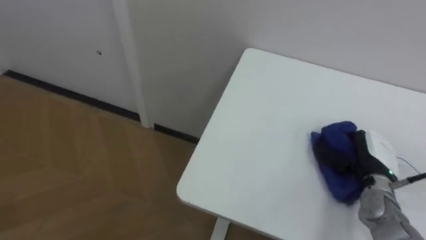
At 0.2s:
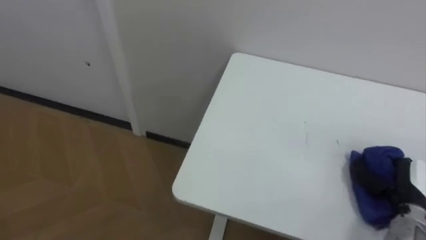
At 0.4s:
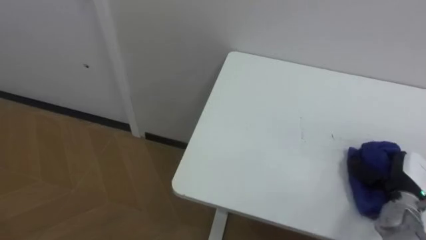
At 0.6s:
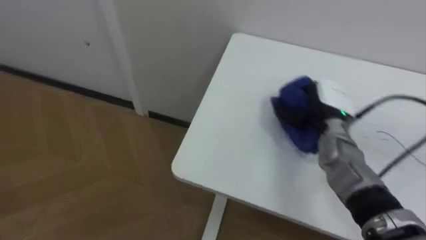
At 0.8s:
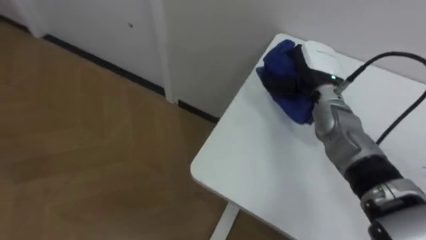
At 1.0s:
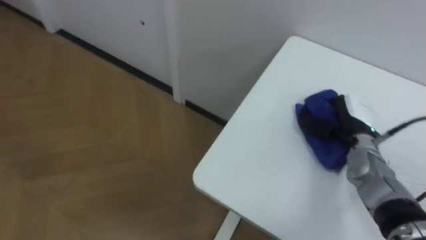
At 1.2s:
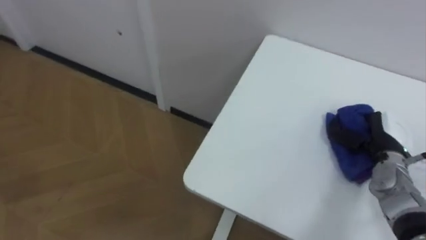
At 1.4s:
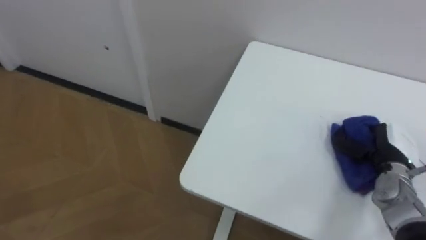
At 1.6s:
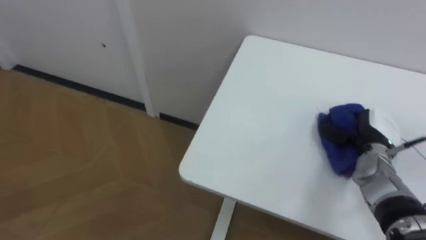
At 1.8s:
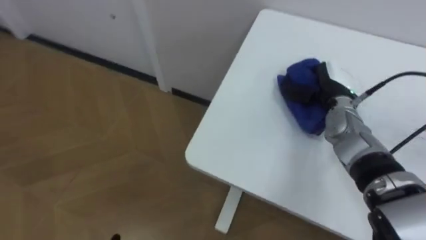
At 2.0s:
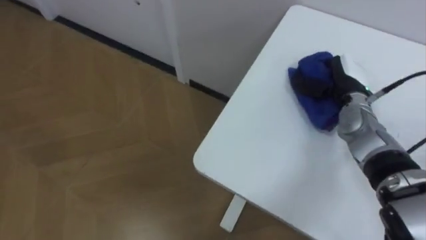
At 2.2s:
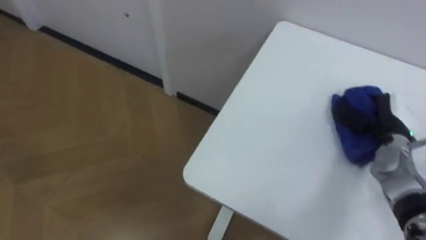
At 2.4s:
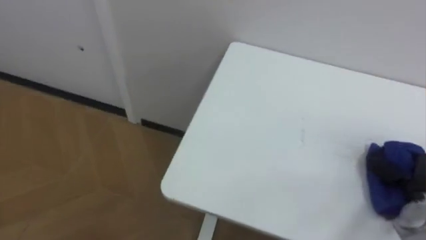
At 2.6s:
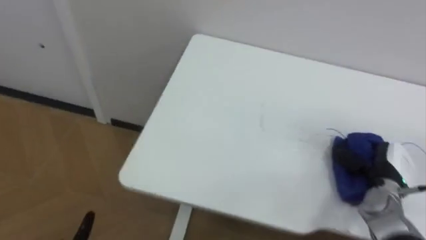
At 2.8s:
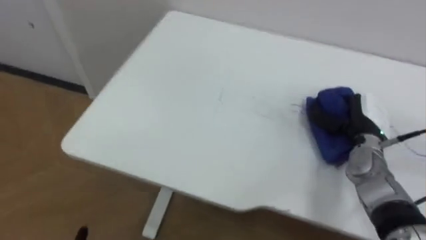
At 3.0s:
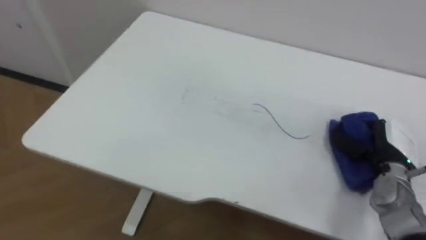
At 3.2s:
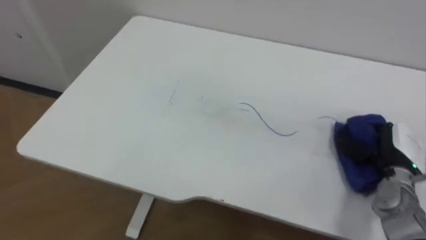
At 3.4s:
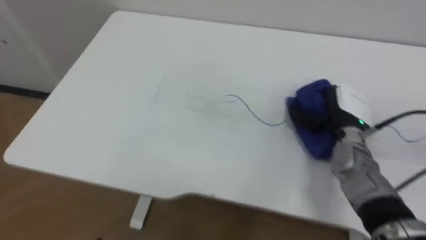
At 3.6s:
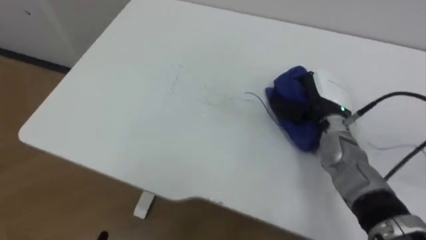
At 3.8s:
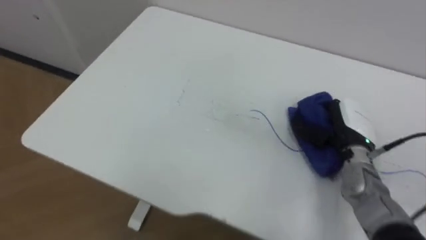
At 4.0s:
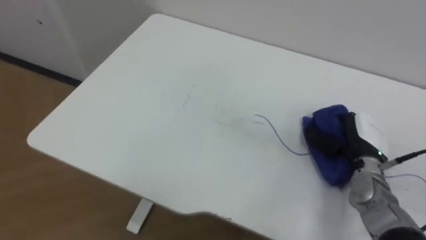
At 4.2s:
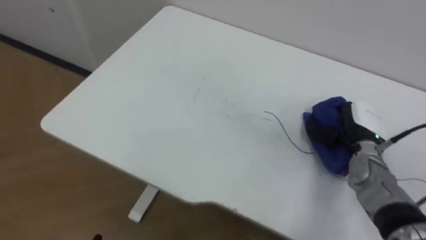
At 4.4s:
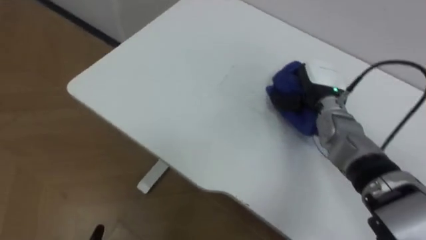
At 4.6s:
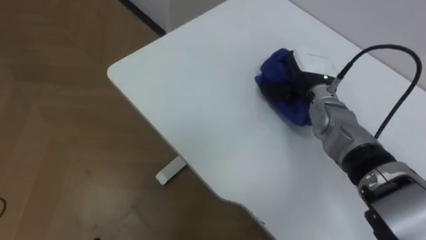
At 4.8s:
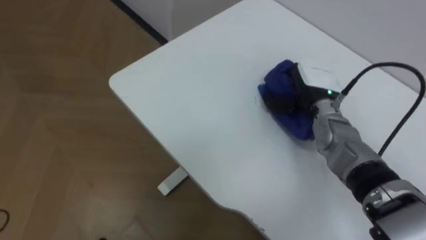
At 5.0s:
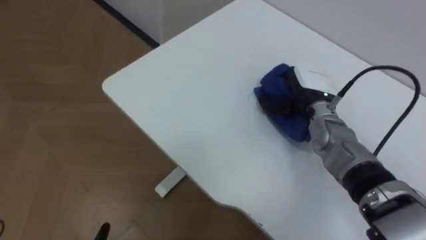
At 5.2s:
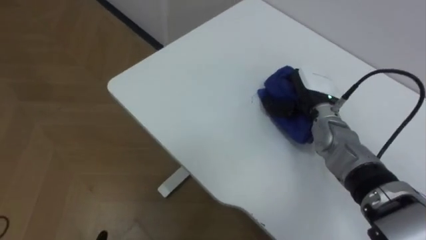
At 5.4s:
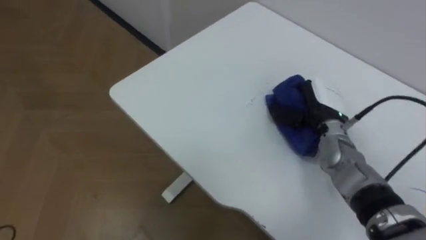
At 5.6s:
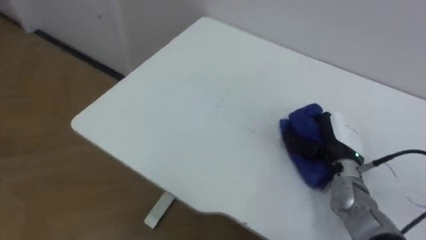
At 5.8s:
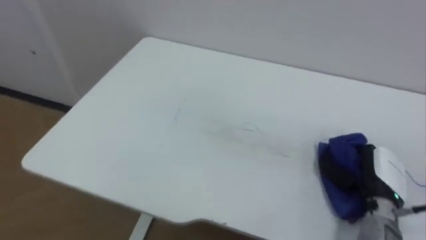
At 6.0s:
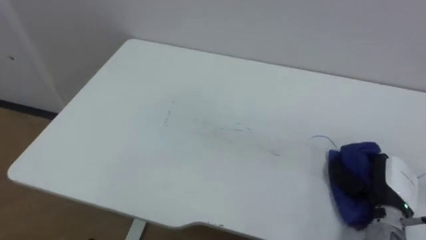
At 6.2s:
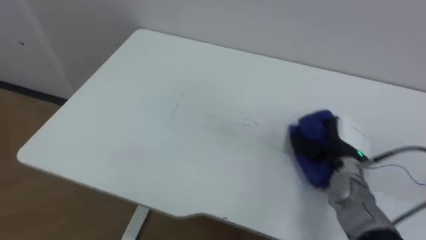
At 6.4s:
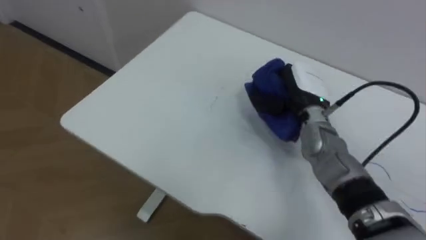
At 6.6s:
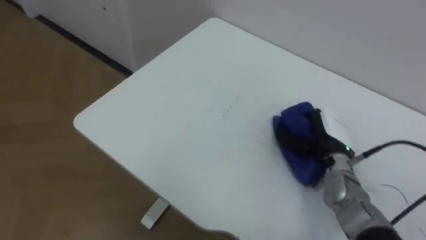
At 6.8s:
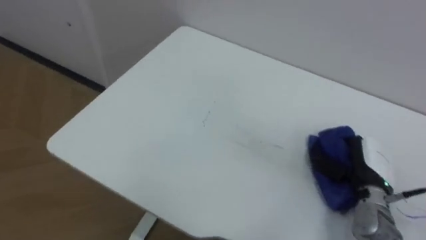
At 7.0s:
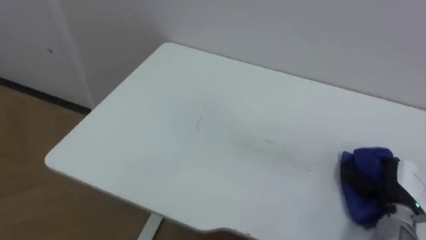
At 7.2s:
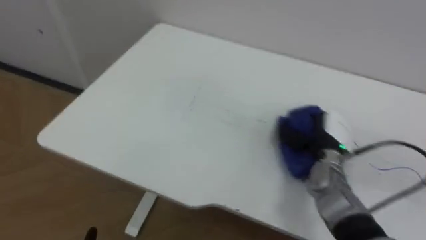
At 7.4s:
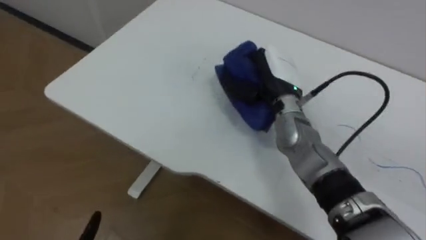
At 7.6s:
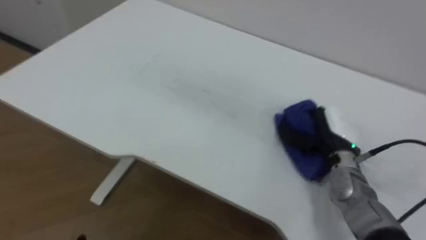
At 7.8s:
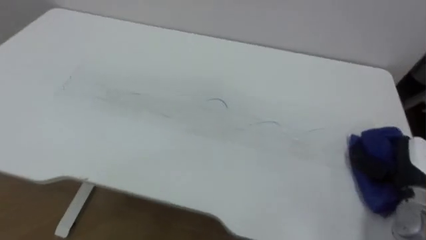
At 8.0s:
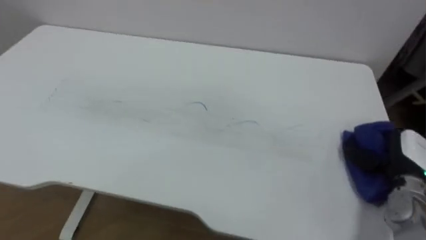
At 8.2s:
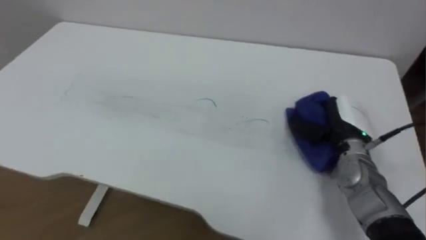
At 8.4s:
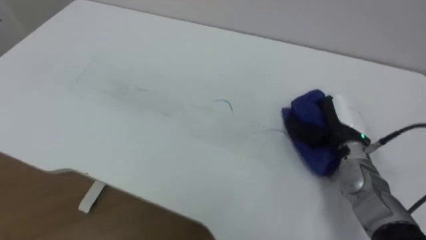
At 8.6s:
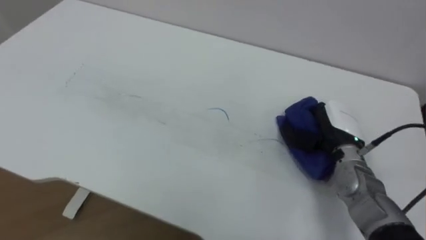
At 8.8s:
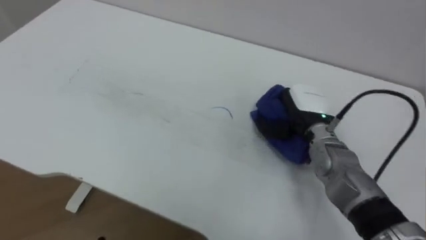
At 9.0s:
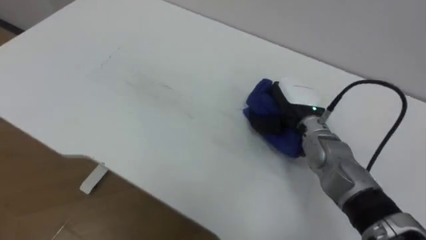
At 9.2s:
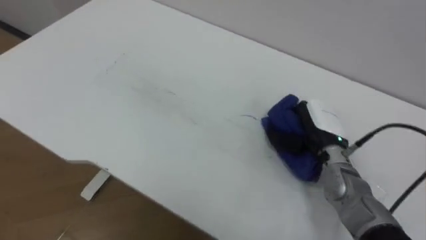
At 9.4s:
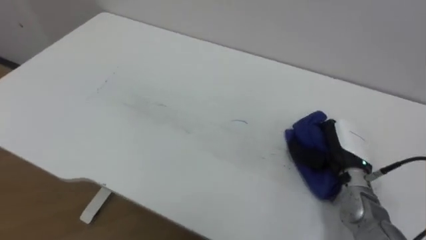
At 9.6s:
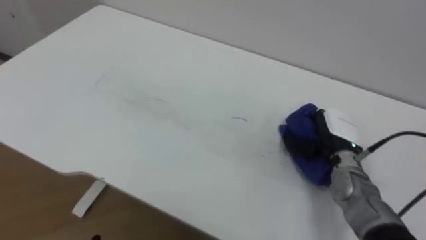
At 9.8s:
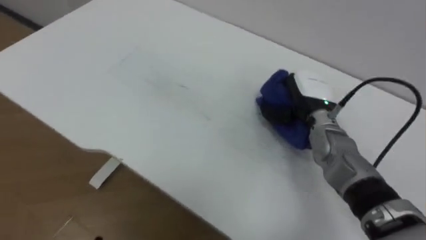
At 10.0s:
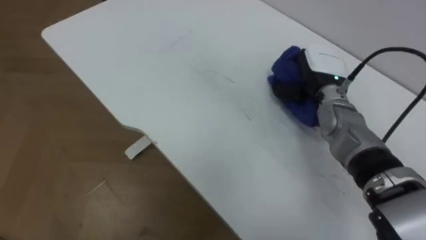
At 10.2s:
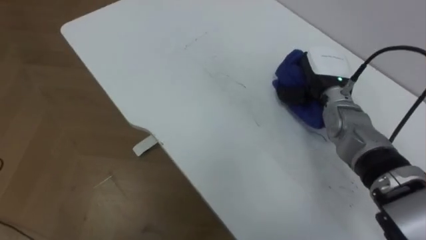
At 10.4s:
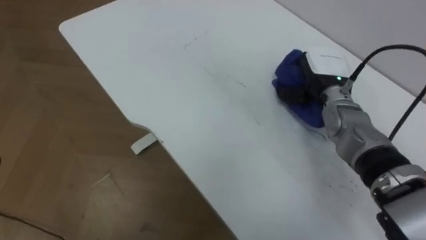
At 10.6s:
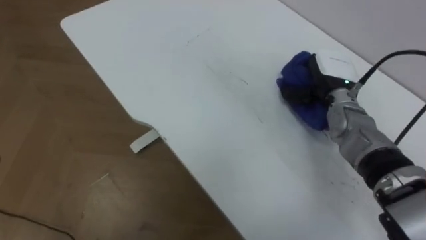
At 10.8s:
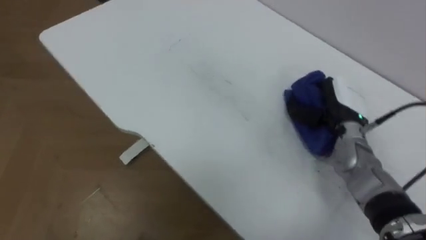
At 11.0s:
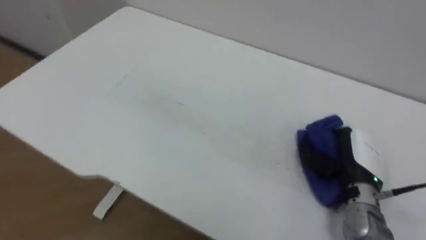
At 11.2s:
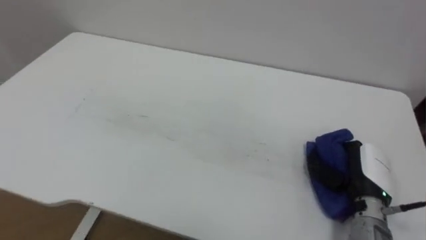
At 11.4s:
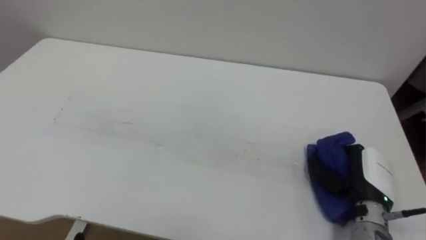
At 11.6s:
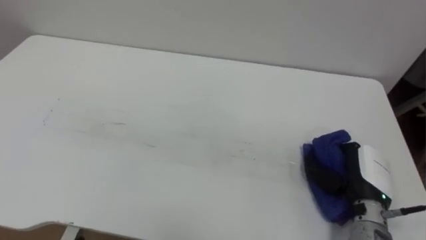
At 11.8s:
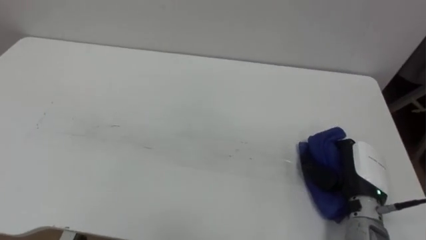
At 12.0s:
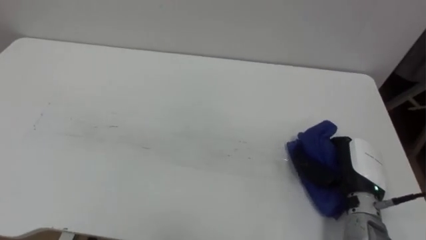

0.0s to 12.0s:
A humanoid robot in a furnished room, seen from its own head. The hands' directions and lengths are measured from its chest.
Task of the whole recording: Wipe the blue pen marks off the table with the rag.
0.0s to 1.6s: The right hand moves forward and backward over approximately 20 cm, changing direction 2 times.
1.6s to 3.0s: The right hand moves forward and backward over roughly 15 cm, changing direction 3 times.
3.0s to 4.4s: The right hand goes left and right, about 15 cm each way, reversing 2 times.
4.4s to 6.0s: The right hand travels backward, to the right and downward by some 25 cm.
6.0s to 7.6s: The right hand moves left and right over approximately 25 cm, changing direction 3 times.
7.6s to 9.0s: The right hand goes about 5 cm to the left.
10.4s to 12.0s: The right hand moves backward and downward, some 20 cm.

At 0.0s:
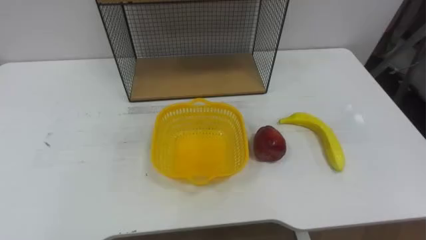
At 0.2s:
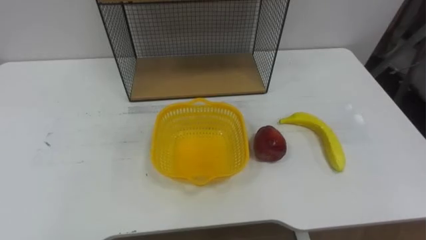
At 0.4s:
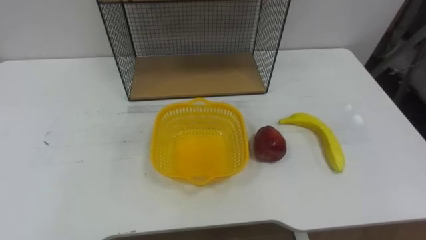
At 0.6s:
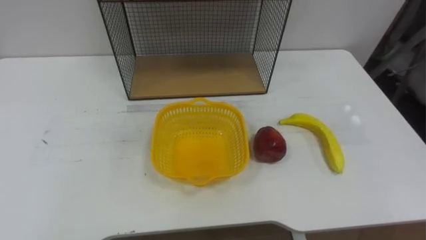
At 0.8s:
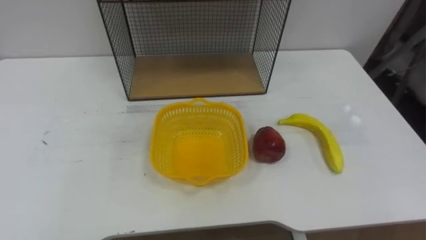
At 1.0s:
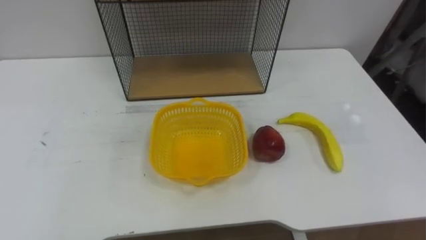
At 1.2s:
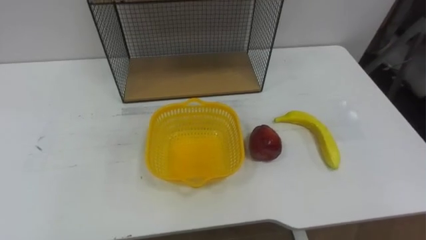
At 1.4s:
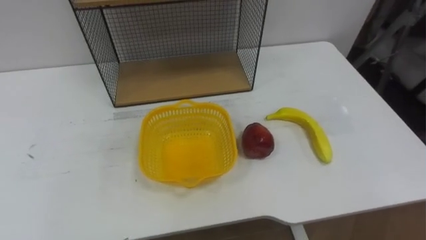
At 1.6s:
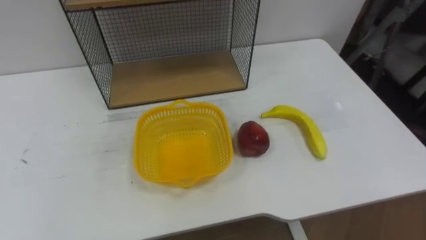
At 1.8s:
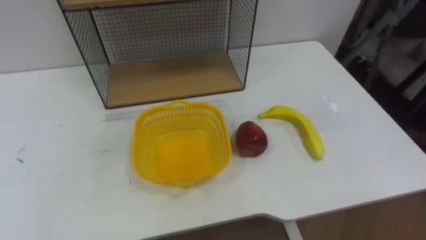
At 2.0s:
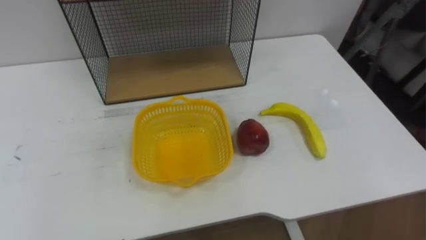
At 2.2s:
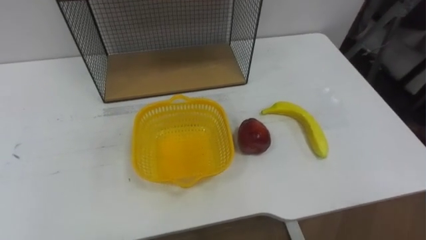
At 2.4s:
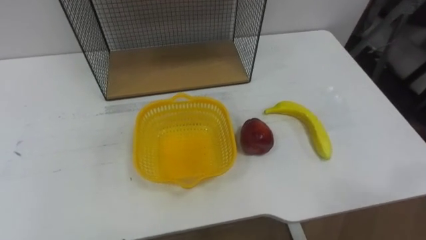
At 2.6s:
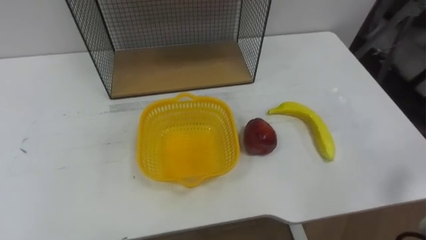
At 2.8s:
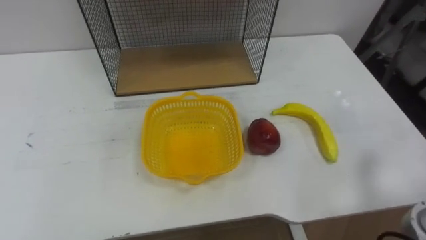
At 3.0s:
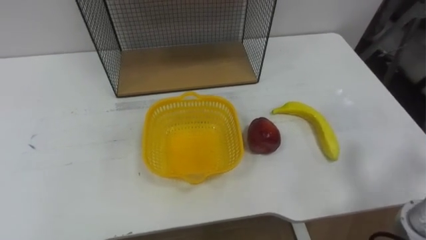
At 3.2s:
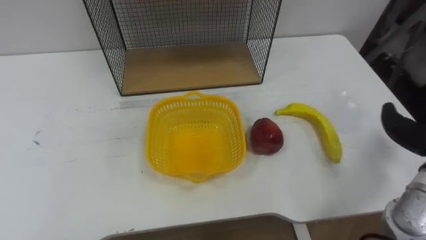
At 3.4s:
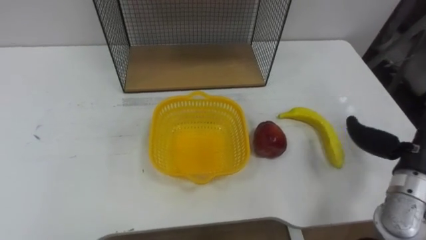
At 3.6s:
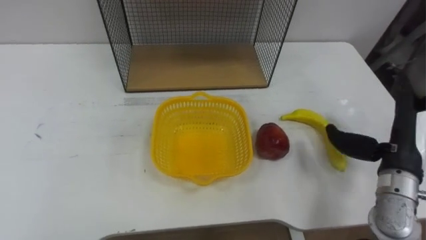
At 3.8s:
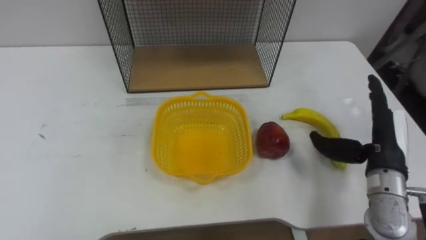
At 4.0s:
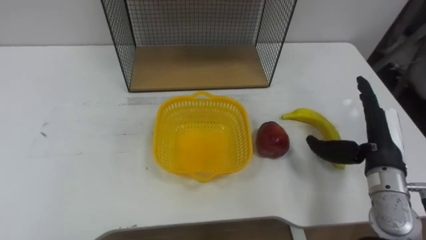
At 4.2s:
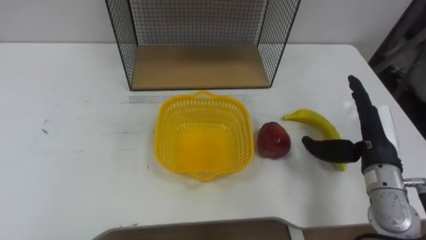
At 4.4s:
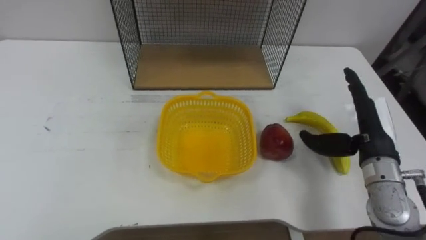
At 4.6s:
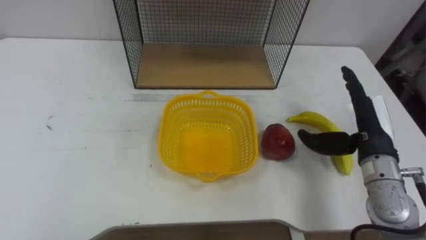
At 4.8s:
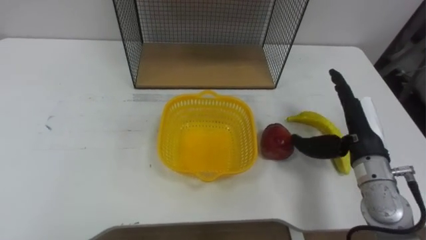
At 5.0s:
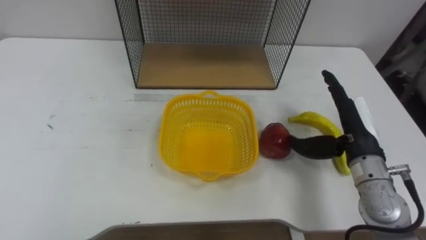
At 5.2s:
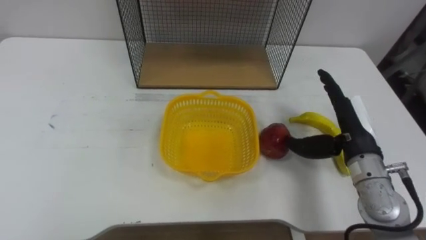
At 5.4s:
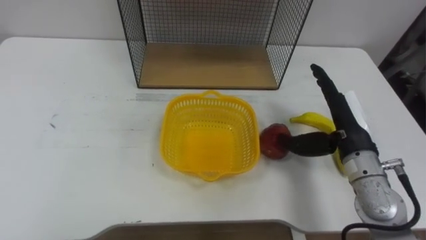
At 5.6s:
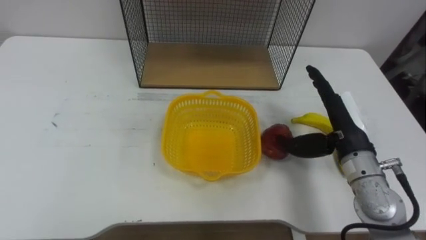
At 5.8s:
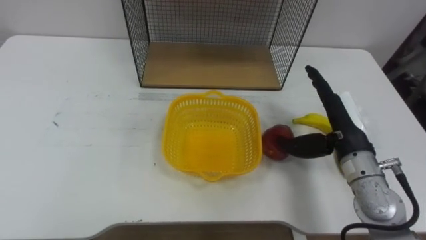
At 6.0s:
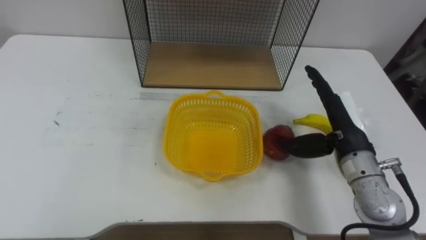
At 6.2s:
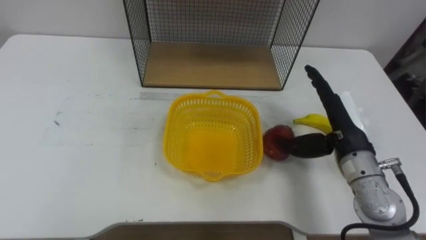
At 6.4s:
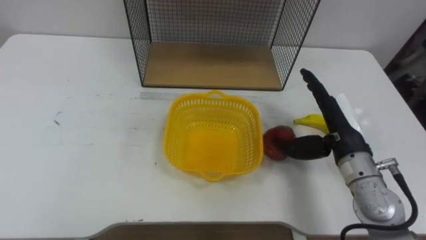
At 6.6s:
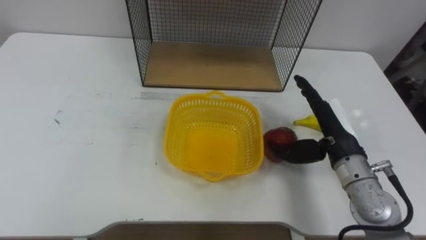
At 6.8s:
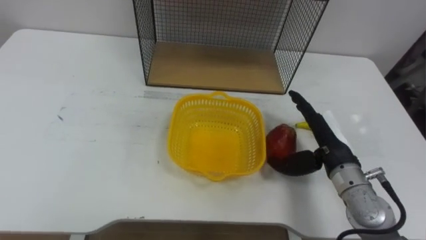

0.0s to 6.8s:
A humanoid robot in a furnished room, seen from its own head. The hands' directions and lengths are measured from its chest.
Task of the whole recording: Put the fruit on the table into the basket, then place the basket on the shelf.
4.0s to 5.4s: The right hand goes approximately 5 cm to the left.
